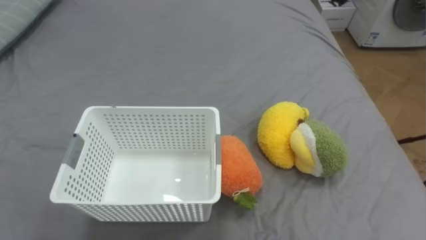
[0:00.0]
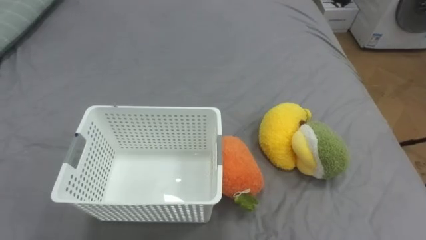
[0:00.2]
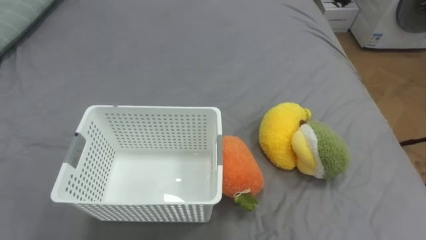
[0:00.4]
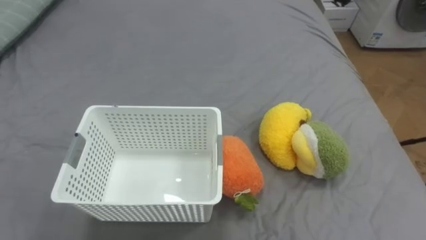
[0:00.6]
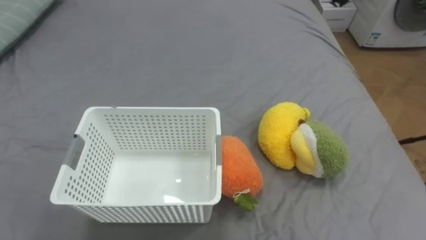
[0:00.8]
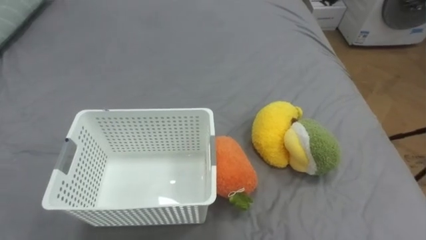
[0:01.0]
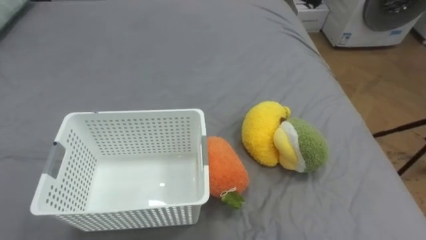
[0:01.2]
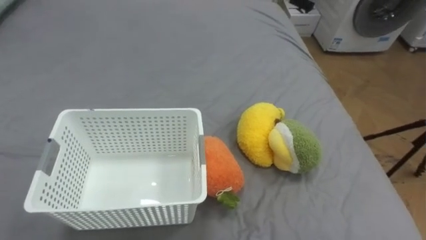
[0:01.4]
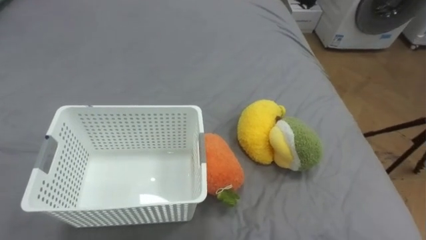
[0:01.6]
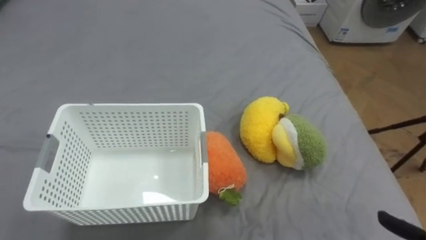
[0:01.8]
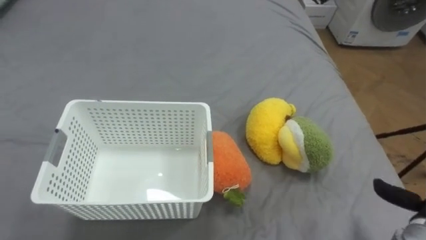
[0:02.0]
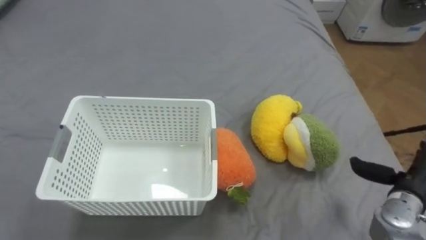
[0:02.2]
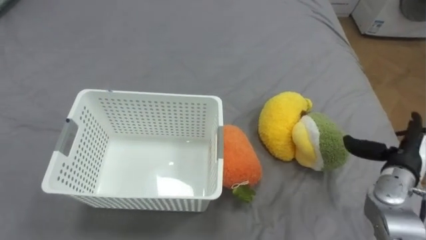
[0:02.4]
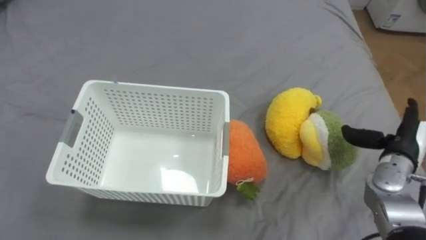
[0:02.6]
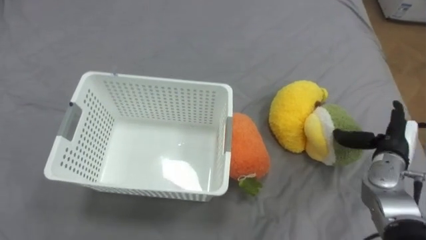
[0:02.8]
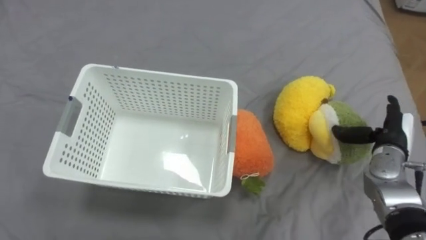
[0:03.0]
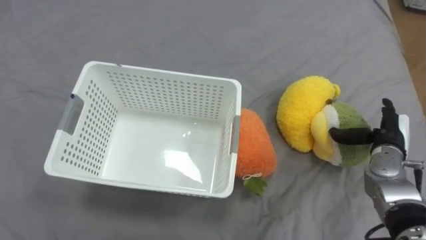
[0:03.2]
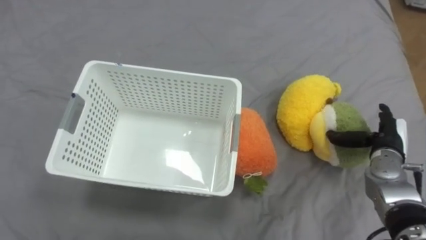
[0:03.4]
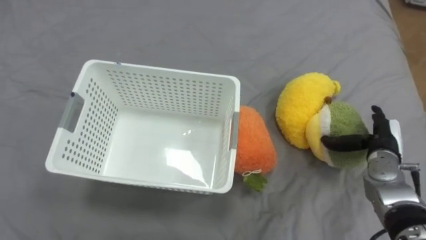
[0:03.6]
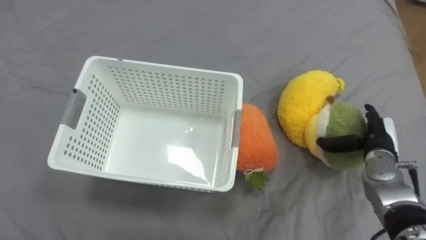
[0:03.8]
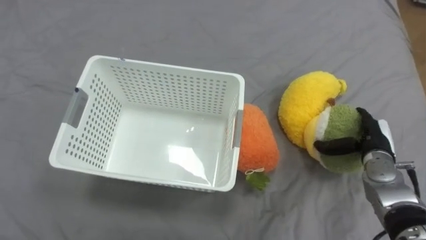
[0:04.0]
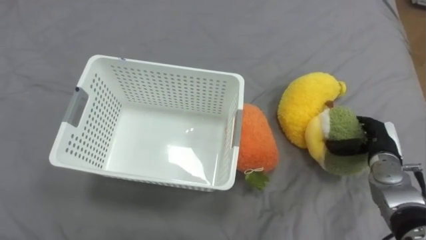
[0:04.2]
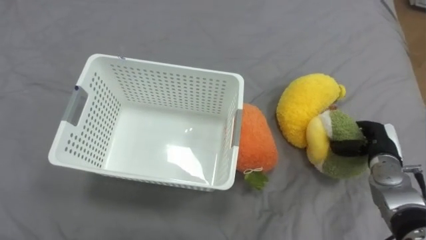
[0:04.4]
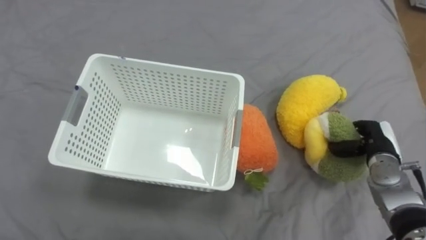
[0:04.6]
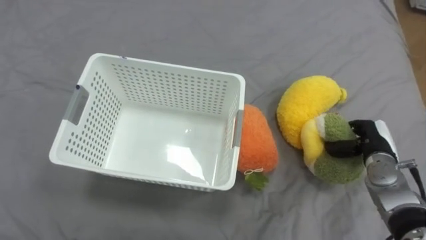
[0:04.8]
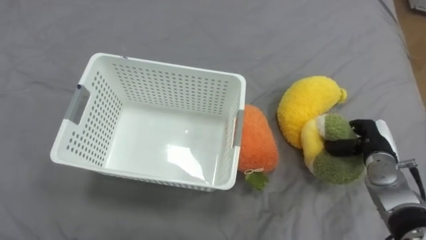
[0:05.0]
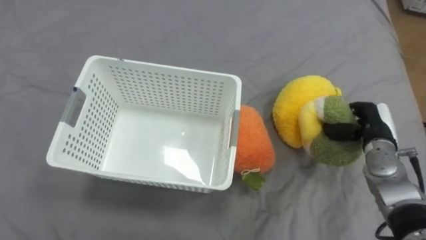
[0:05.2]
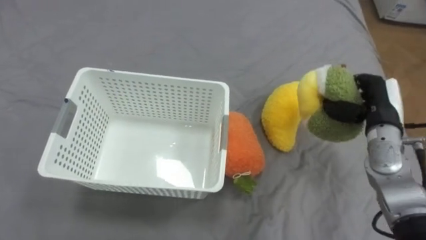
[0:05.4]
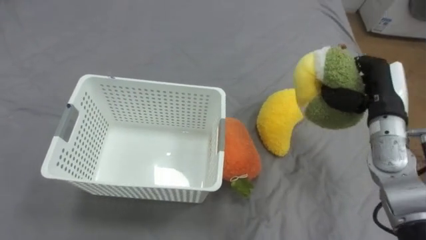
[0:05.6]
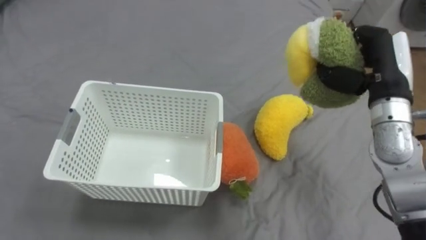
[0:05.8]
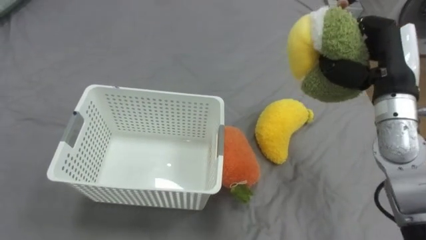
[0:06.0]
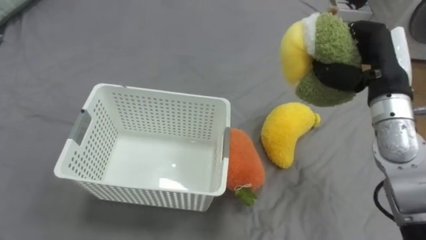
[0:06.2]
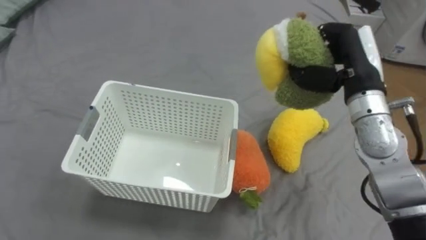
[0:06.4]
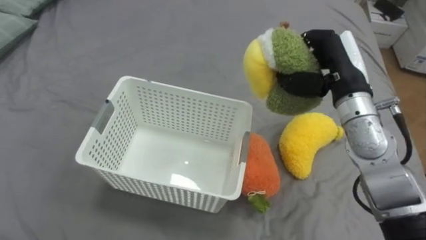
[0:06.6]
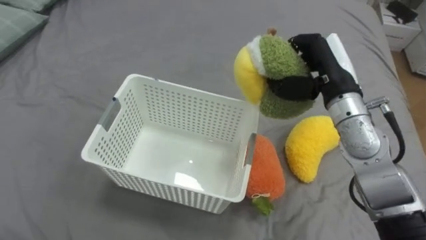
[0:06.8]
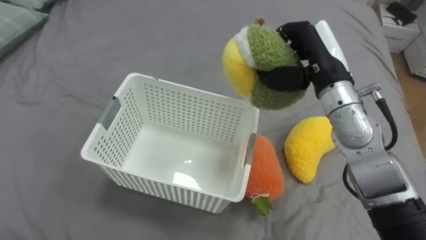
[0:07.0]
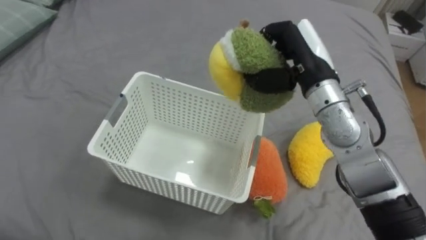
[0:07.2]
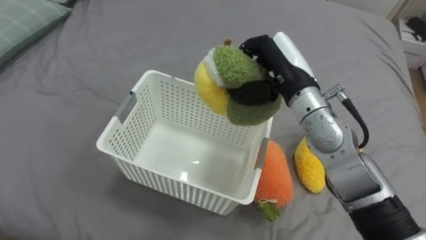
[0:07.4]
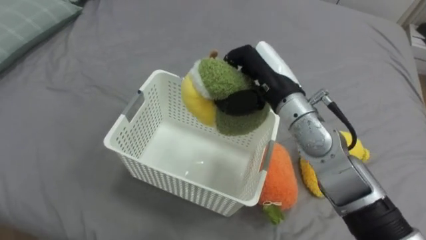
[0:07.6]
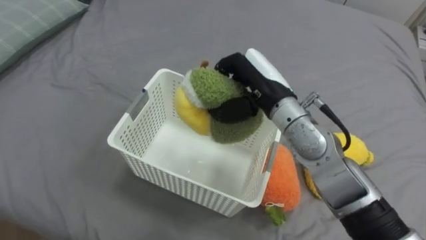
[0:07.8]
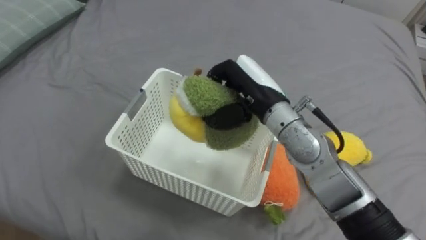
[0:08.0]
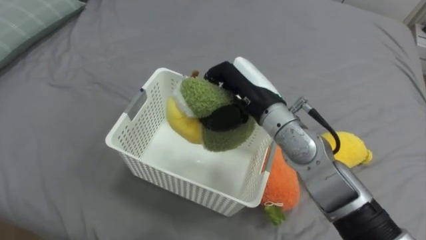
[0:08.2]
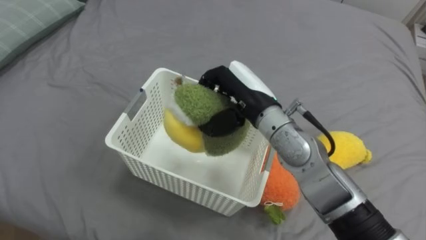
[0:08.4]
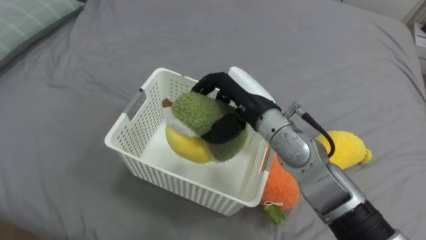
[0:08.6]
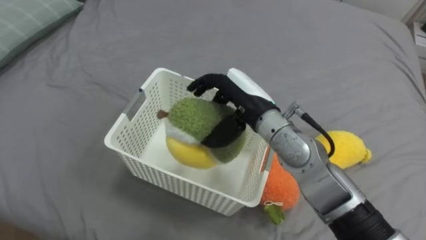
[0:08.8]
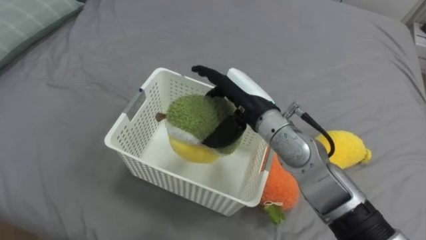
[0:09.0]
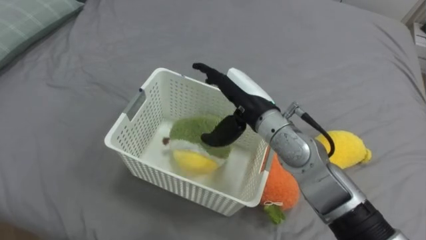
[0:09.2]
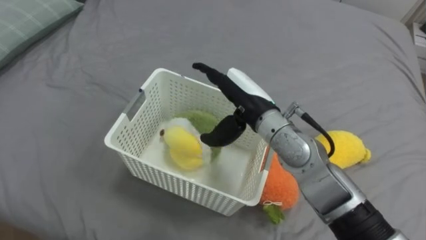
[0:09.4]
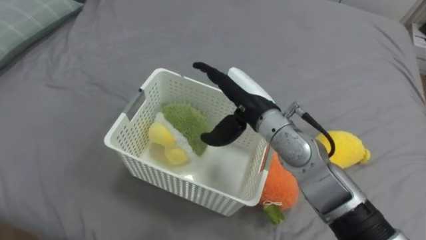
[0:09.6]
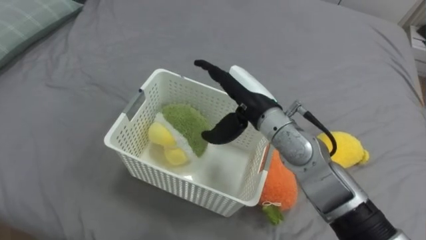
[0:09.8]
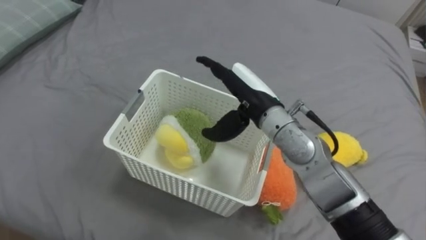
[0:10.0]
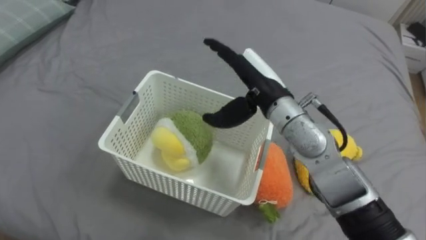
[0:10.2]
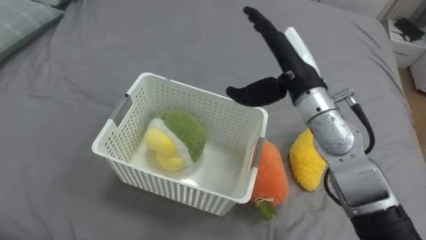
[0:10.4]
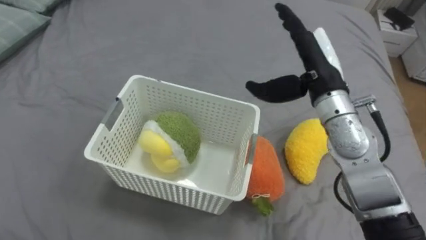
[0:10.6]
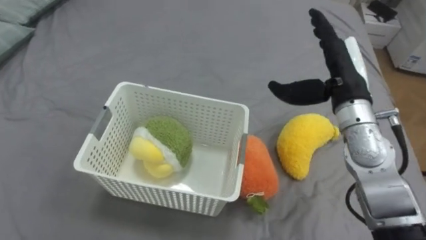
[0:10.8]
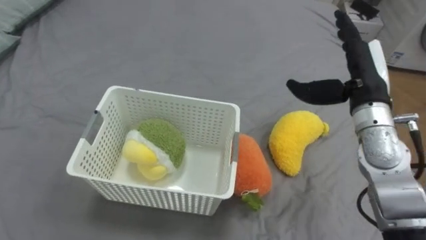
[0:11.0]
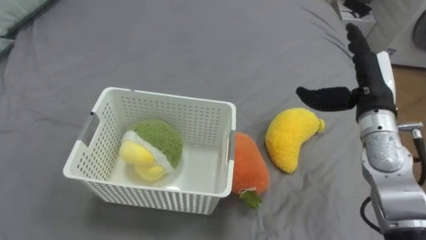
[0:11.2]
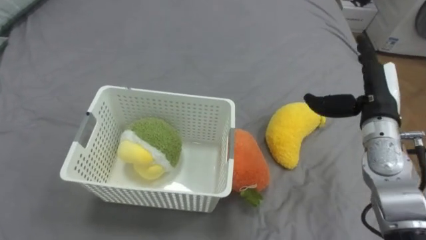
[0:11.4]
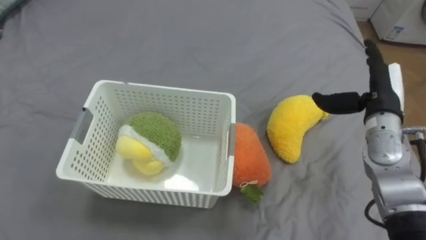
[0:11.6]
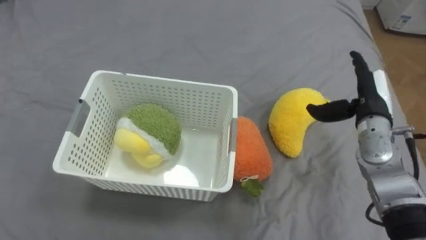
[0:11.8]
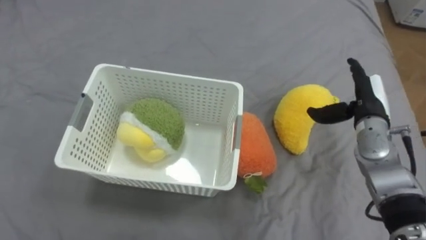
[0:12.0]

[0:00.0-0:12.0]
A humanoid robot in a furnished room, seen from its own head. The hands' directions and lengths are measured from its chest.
Task of the whole recording: Put the toys on the bed into the basket on the left.
3.0 to 4.4 s: The right hand closes its fingers.
4.4 to 6.0 s: The right hand is displaced upward by roughly 20 cm.
6.0 to 7.6 s: The right hand moves to the left, some 20 cm.
7.6 to 9.0 s: The right hand shifts by about 5 cm, and opens its fingers.
9.0 to 10.4 s: The right hand shifts about 10 cm to the right and upward.
10.4 to 12.0 s: The right hand moves to the right and downward, some 20 cm.

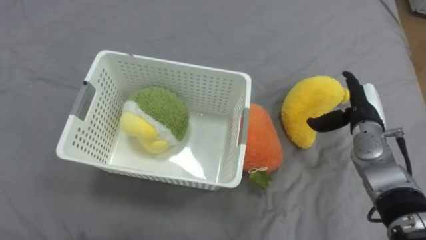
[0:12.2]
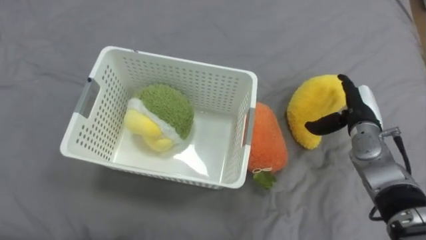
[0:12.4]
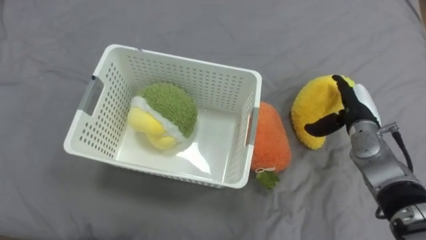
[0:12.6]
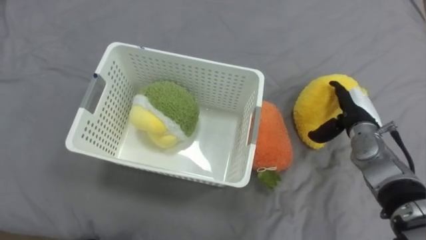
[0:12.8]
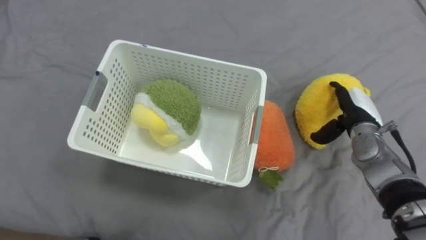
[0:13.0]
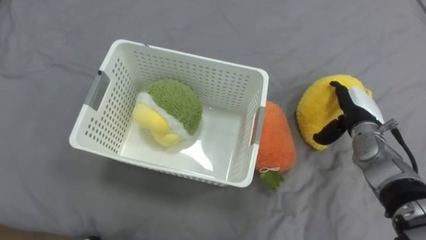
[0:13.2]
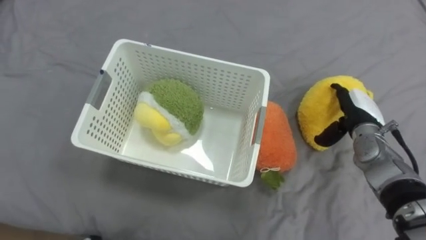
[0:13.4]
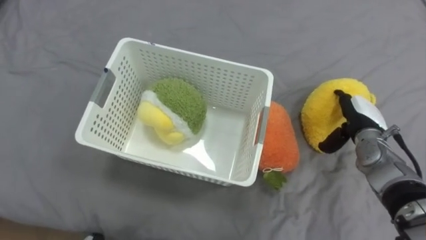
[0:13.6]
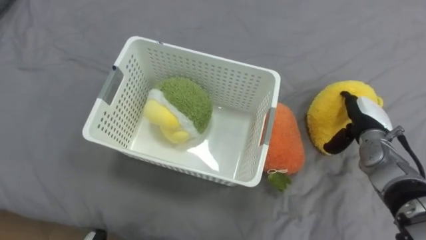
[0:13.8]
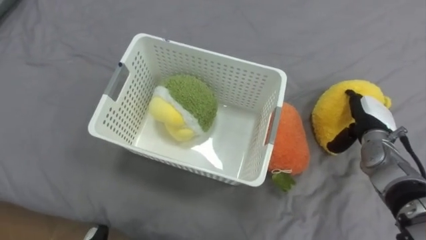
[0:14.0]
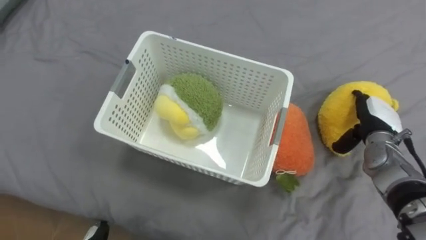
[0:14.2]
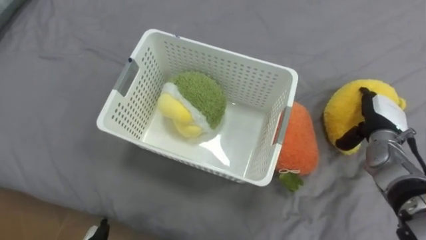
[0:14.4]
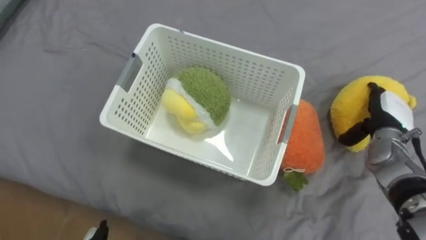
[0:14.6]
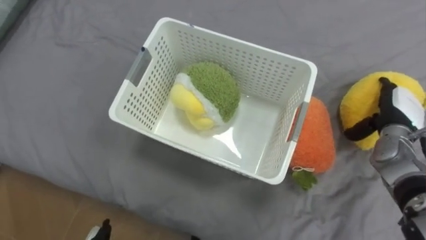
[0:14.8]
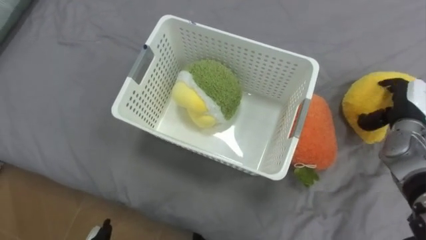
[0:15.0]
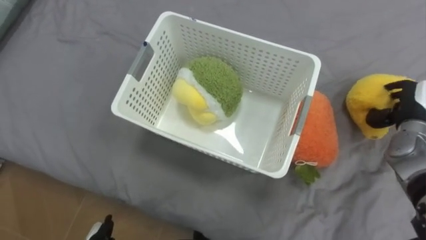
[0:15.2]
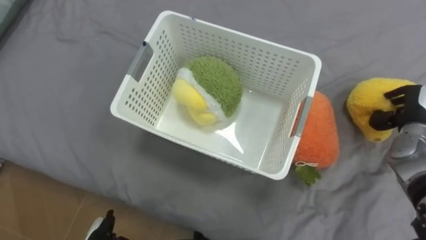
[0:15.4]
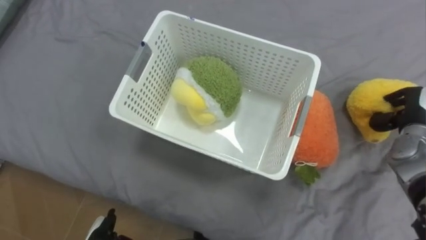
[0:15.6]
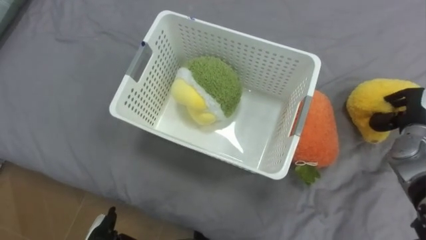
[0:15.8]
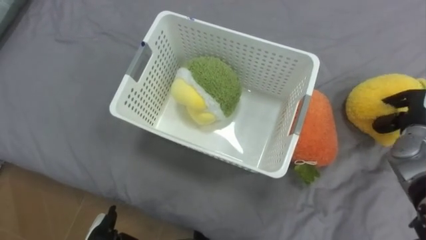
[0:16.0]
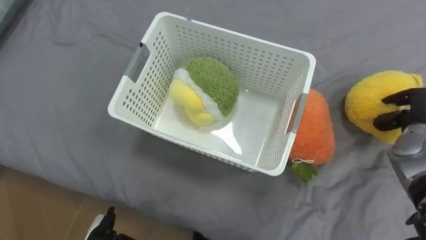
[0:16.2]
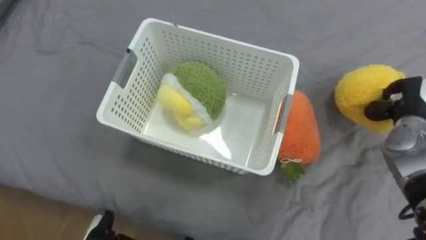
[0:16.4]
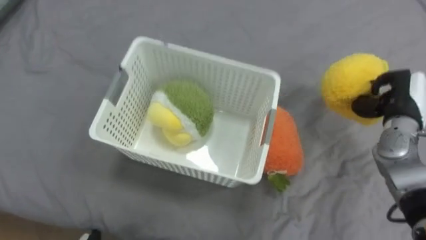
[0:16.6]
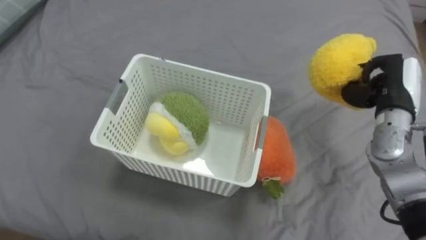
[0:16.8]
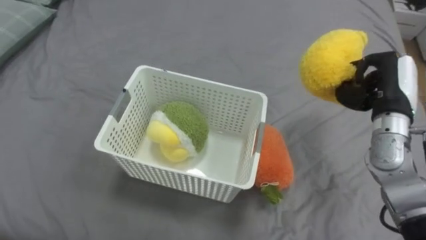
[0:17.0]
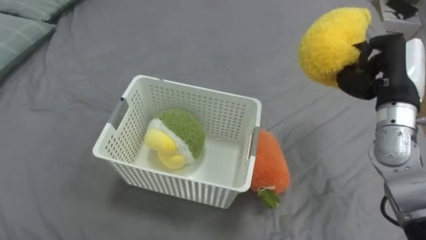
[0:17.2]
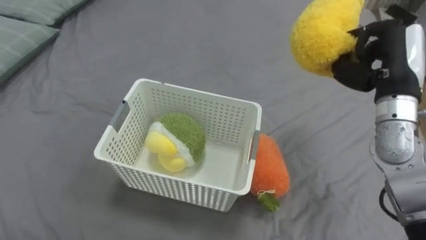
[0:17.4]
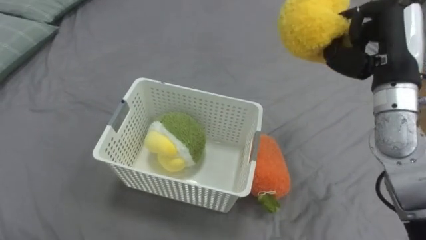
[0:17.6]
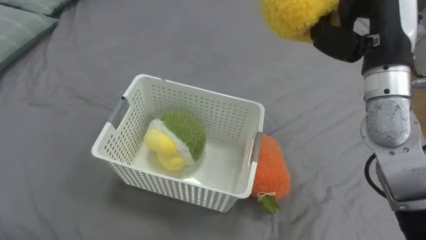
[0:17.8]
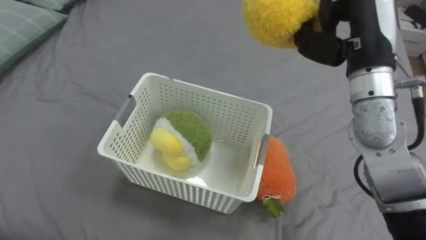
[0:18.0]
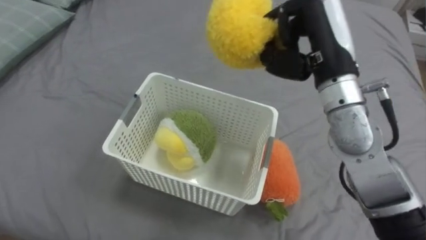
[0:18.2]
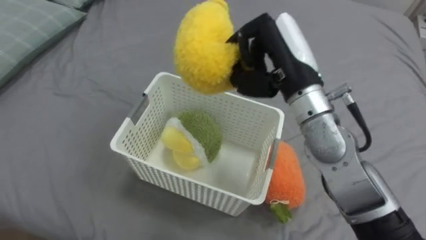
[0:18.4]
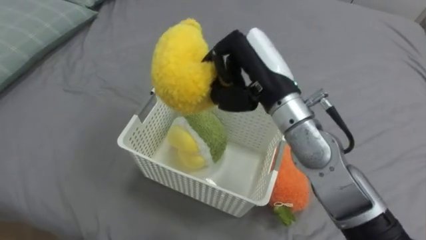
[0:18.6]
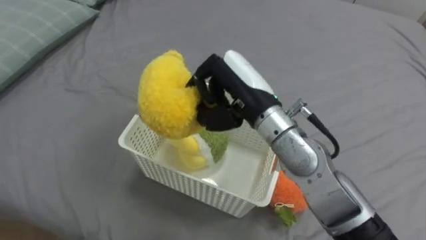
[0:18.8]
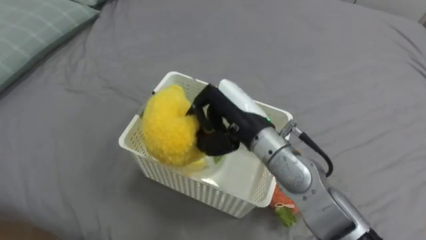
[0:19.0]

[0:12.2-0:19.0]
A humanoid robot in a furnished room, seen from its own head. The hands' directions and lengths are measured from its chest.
Task of the whole recording: Put the toys on the bed into the basket on the left.
13.6 to 15.0 s: The right hand shifts some 5 cm to the right.
15.0 to 16.2 s: The right hand closes up.
16.2 to 17.6 s: The right hand moves upward and to the left, some 20 cm.
17.6 to 19.0 s: The right hand is displaced to the left by some 20 cm.
